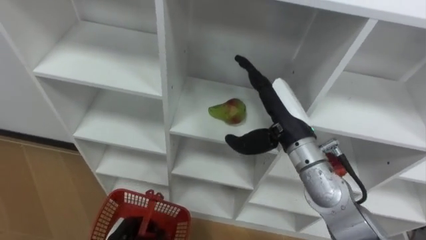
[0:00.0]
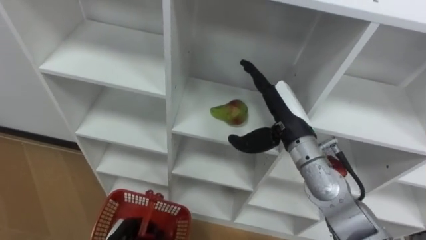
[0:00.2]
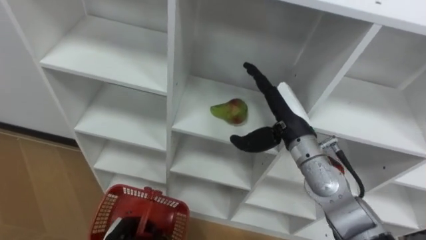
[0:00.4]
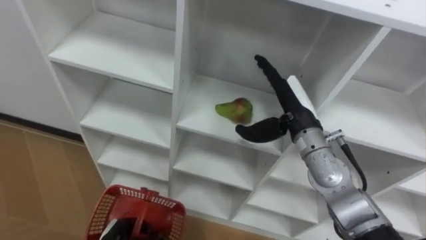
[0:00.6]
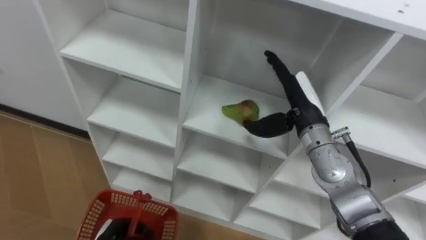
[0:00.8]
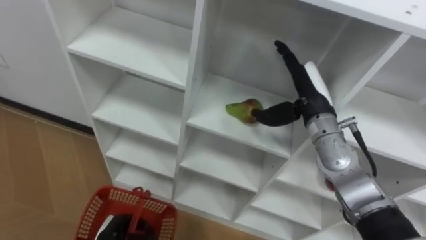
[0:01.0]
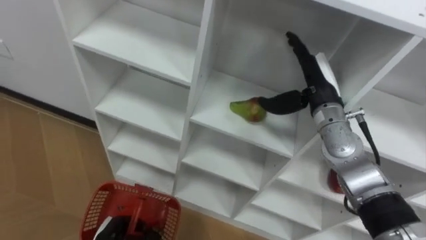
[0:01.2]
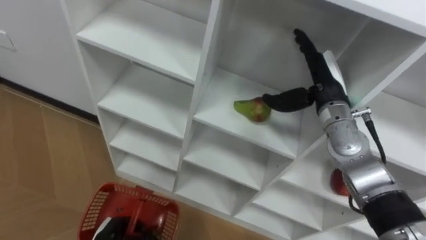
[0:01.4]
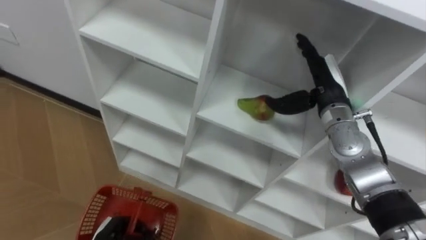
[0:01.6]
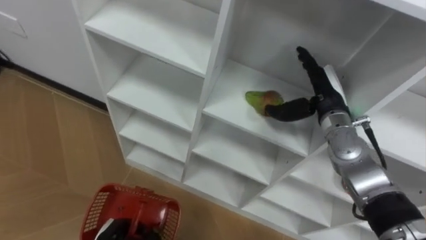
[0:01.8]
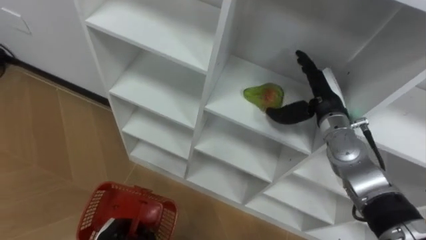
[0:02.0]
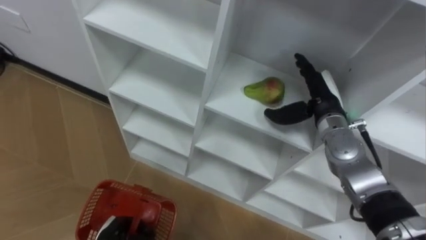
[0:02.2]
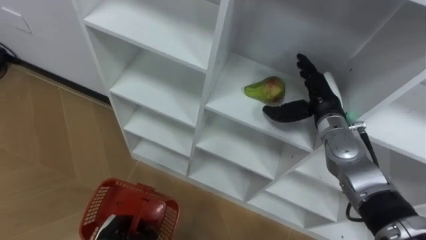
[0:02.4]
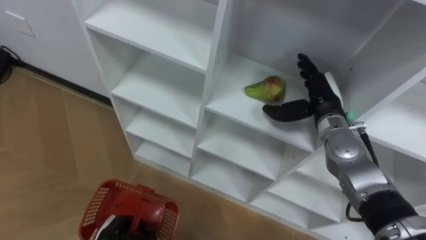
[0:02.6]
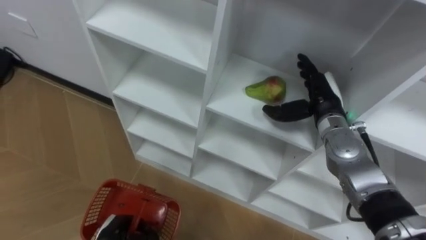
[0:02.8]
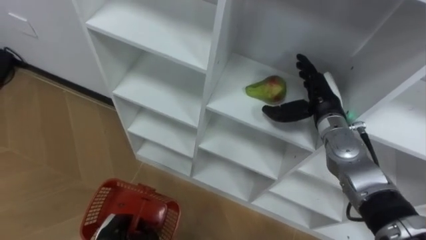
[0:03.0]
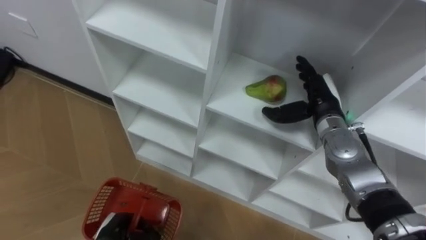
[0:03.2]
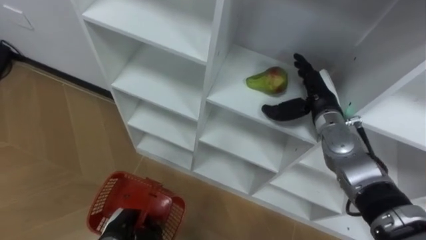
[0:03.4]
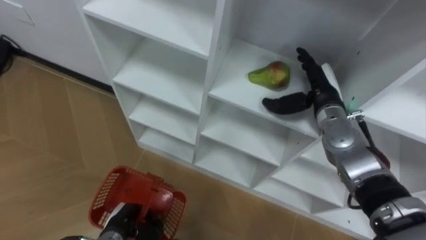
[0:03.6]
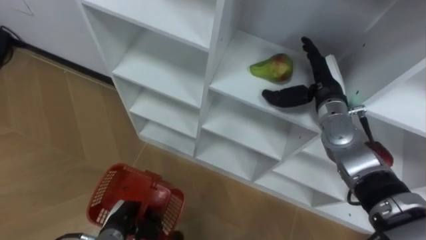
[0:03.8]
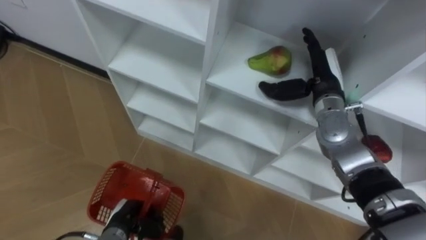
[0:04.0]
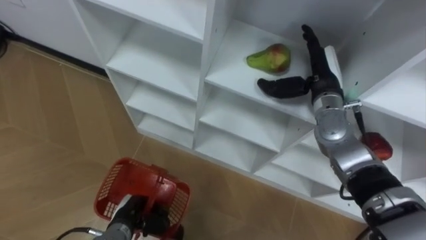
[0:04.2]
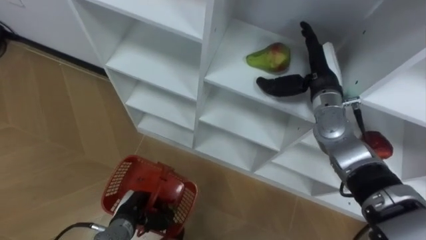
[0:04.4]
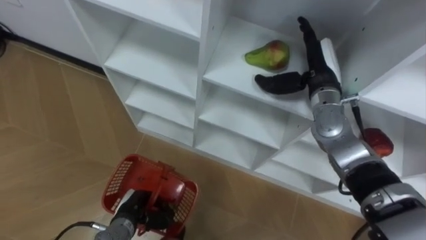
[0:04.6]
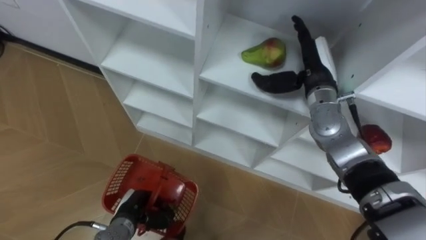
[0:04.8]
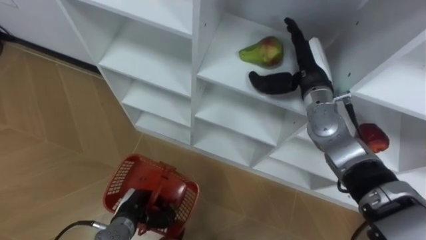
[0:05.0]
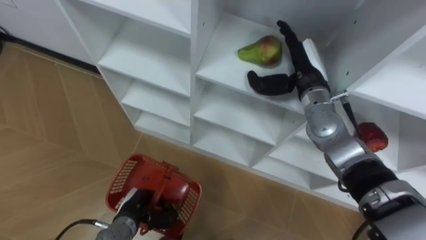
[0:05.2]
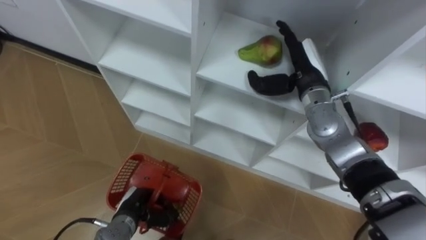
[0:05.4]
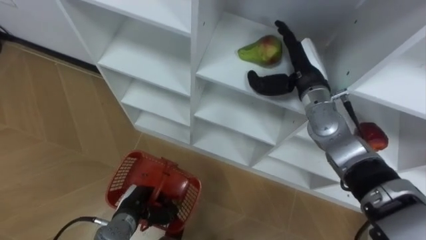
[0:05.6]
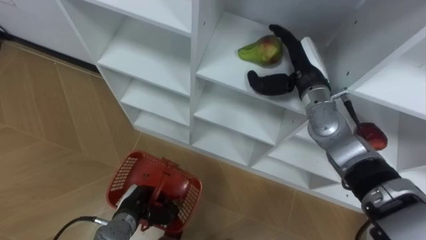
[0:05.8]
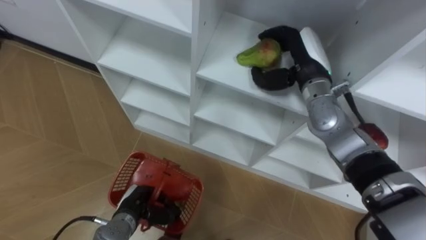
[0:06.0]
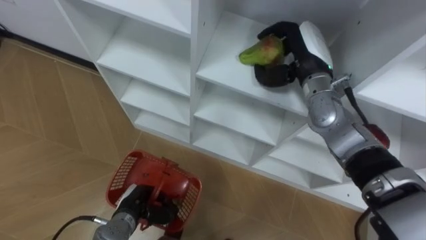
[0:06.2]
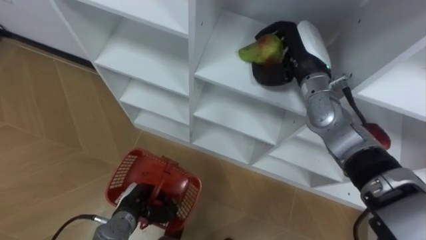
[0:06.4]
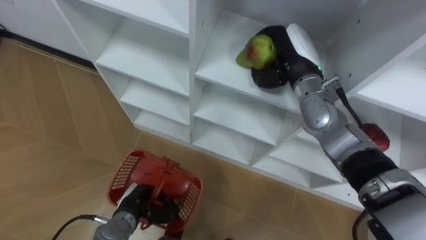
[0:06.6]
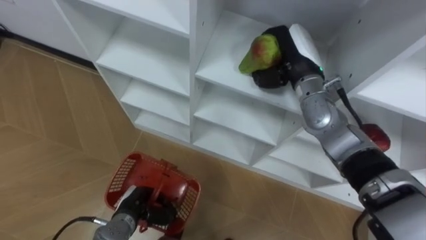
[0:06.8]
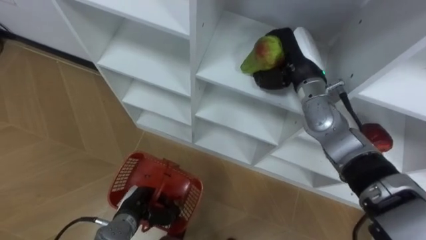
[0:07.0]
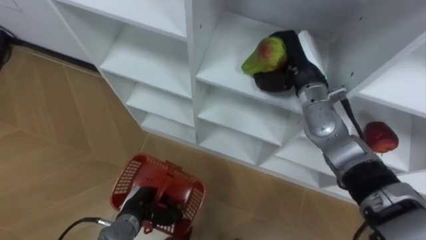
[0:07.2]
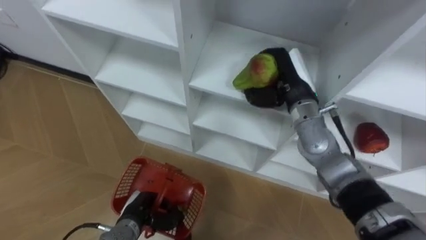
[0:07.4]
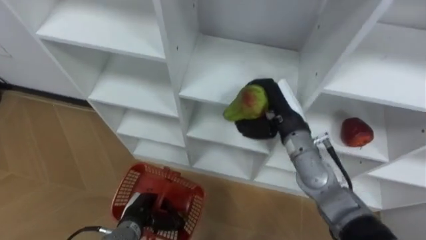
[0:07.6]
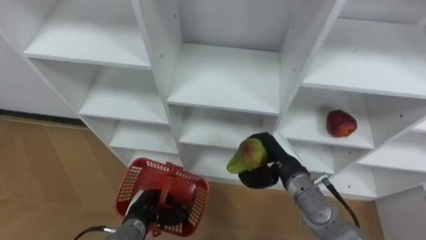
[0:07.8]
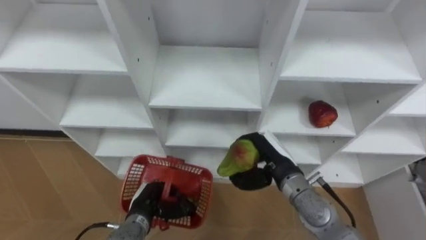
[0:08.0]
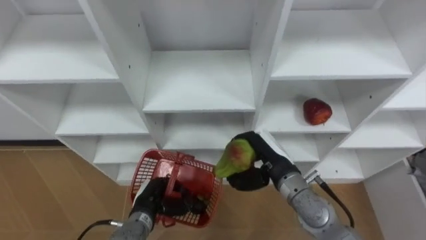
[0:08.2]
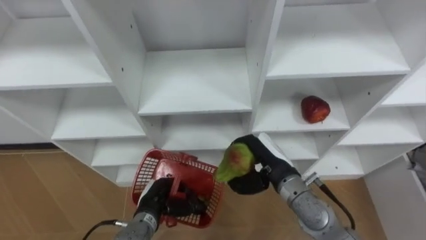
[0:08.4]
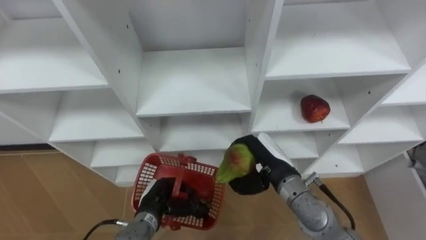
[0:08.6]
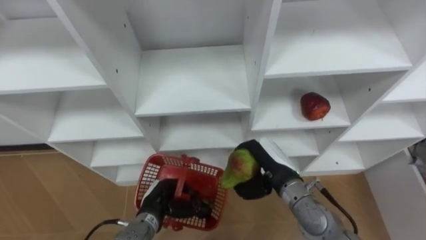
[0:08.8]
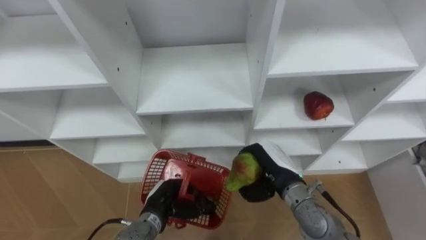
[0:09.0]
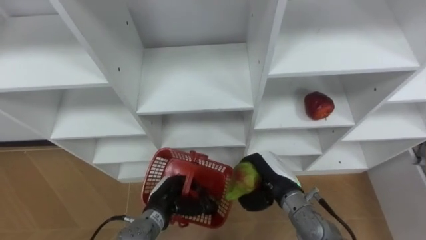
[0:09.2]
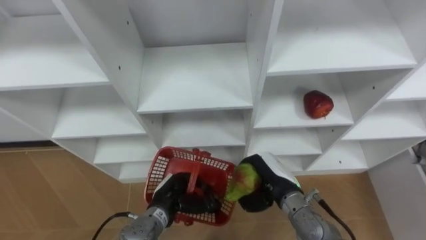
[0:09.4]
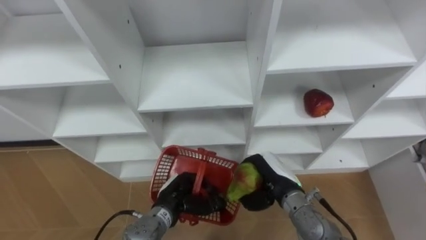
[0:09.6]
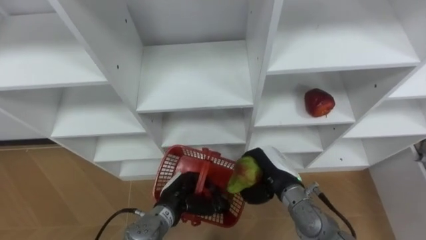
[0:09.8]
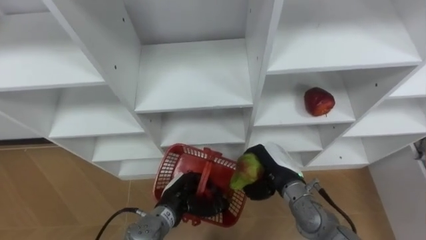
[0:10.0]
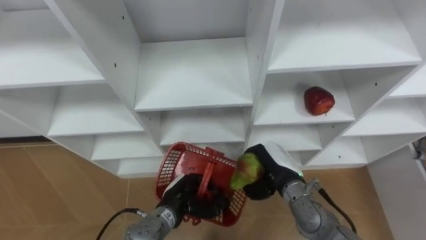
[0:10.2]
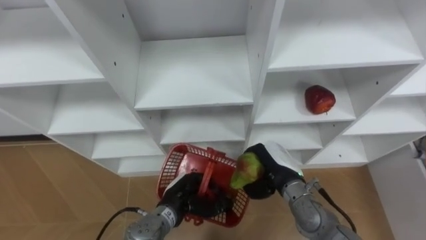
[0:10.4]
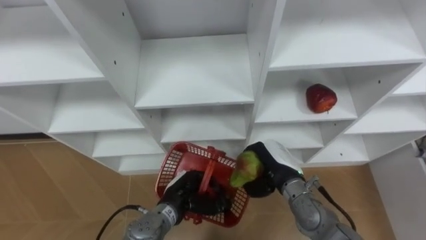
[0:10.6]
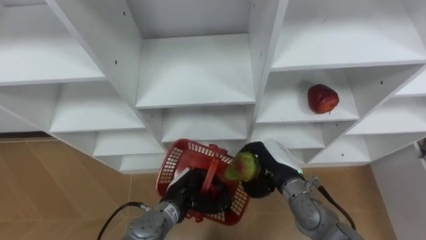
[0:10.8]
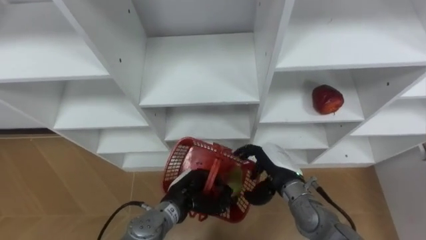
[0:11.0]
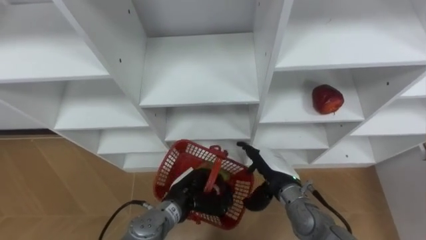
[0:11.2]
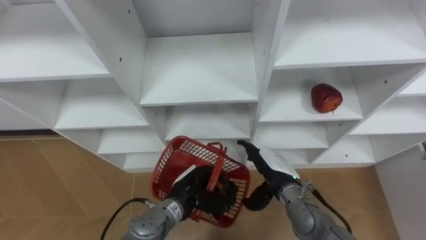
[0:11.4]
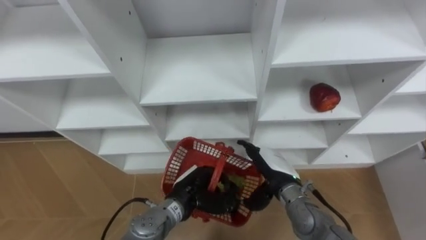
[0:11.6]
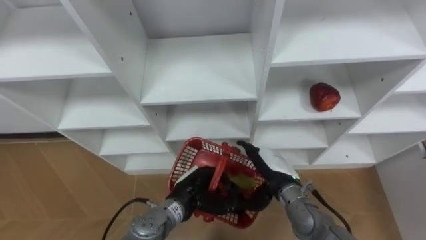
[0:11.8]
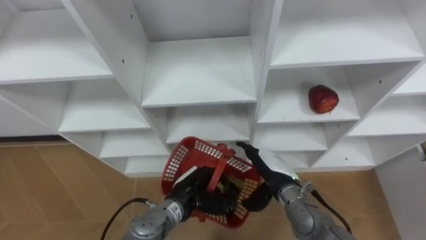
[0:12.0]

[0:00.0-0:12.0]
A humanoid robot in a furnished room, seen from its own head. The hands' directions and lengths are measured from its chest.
Task of the whole recording: Hold the basket and collect the fruits from 3 different cells of the closet into it.
0:00.0 to 0:01.6: The right hand is displaced to the right and forward by about 10 cm.
0:03.0 to 0:04.4: The left hand shifts by some 5 cm.
0:04.4 to 0:06.0: The right hand closes its fingers.
0:06.0 to 0:07.6: The right hand travels backward and downward by some 10 cm, and closes.
0:07.6 to 0:09.0: The right hand is displaced downward and backward by some 10 cm. The left hand goes about 5 cm to the right.
0:10.4 to 0:12.0: The right hand opens up.

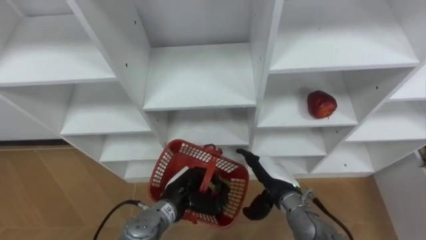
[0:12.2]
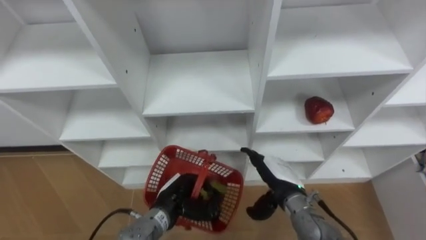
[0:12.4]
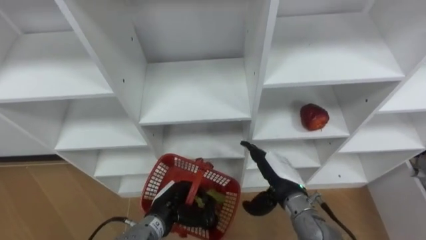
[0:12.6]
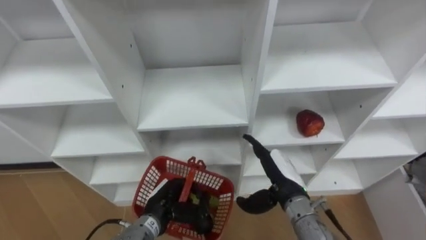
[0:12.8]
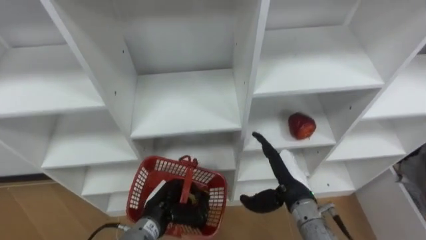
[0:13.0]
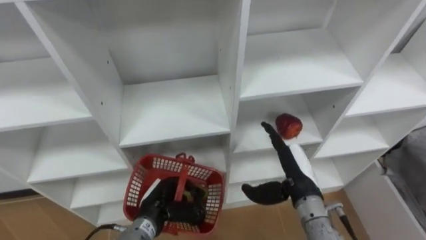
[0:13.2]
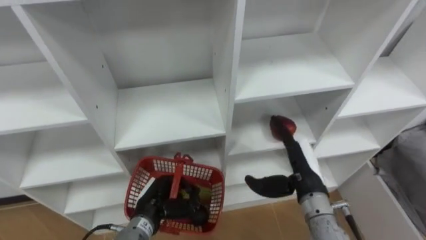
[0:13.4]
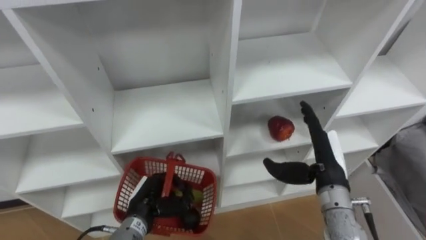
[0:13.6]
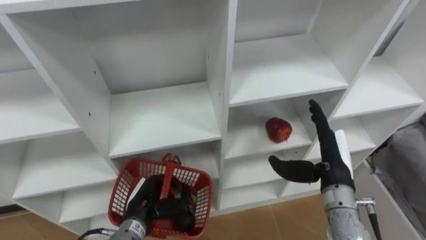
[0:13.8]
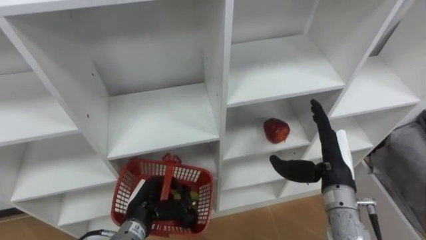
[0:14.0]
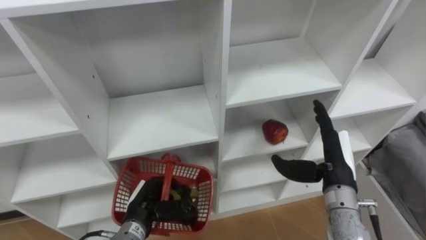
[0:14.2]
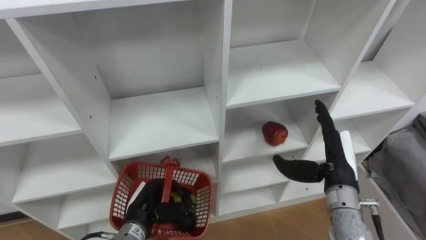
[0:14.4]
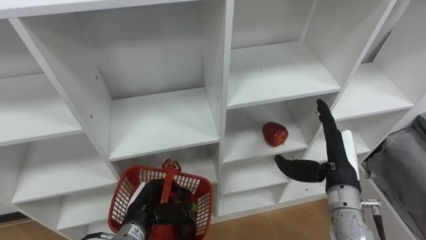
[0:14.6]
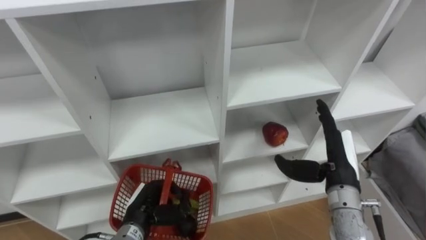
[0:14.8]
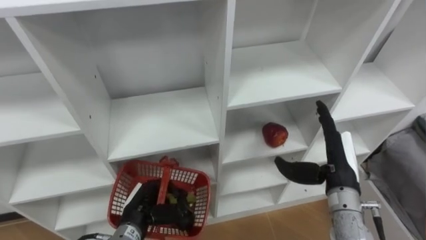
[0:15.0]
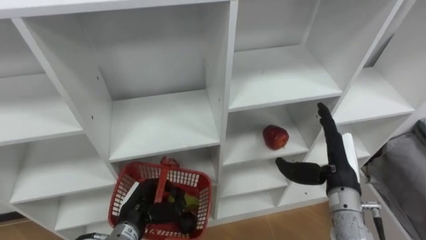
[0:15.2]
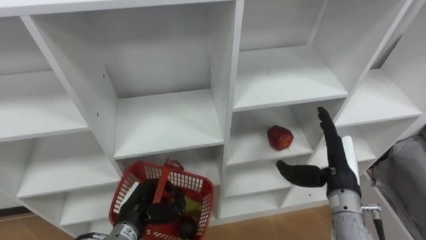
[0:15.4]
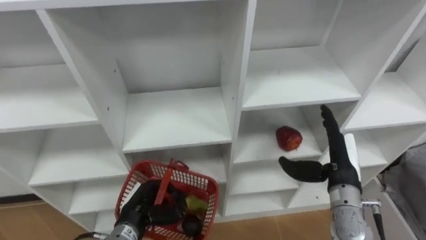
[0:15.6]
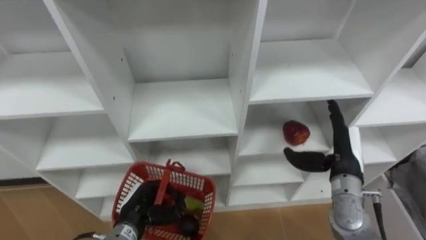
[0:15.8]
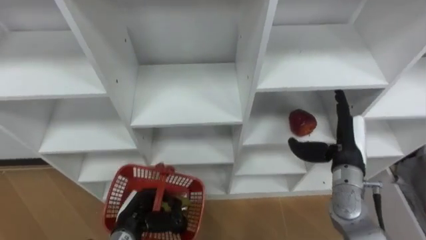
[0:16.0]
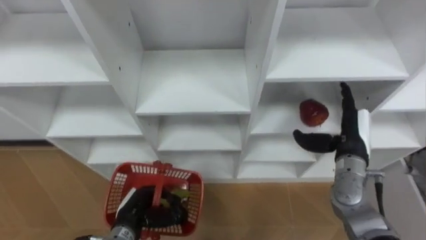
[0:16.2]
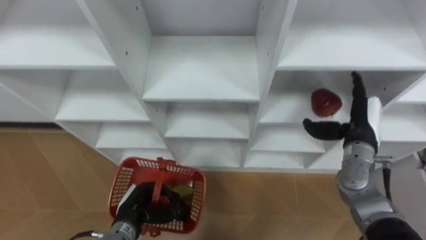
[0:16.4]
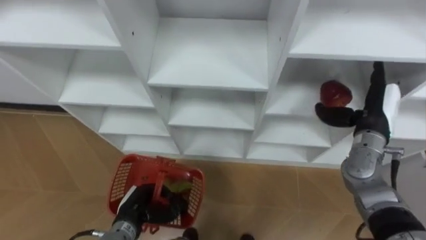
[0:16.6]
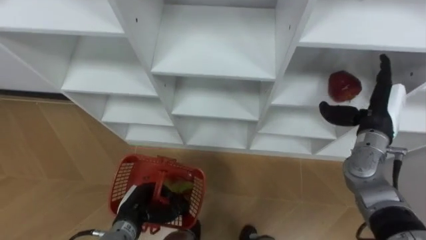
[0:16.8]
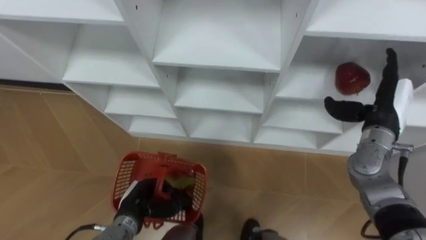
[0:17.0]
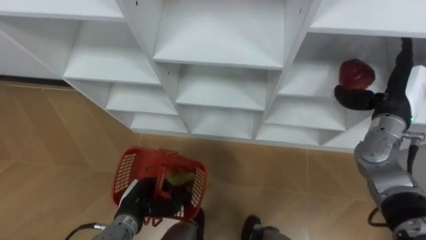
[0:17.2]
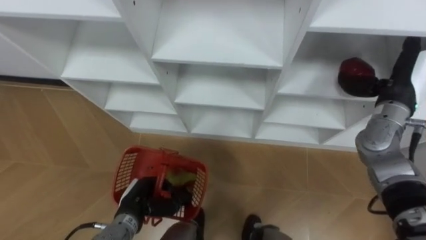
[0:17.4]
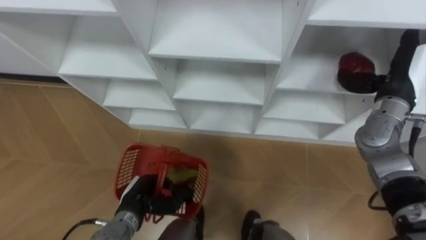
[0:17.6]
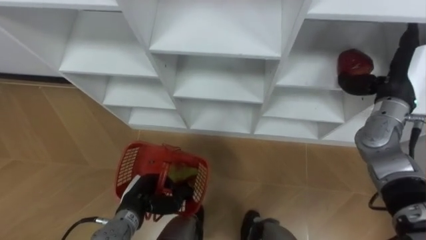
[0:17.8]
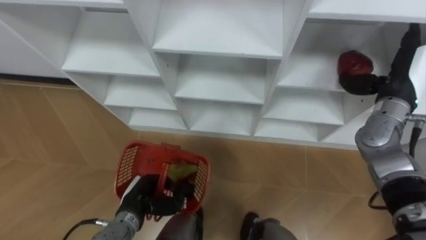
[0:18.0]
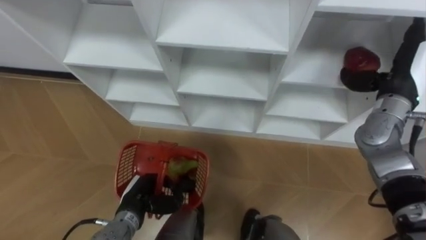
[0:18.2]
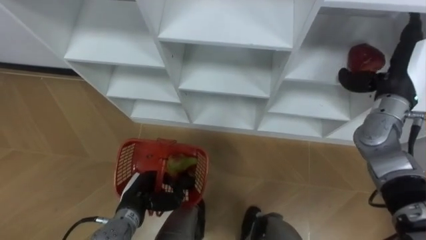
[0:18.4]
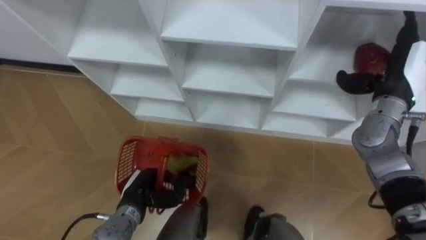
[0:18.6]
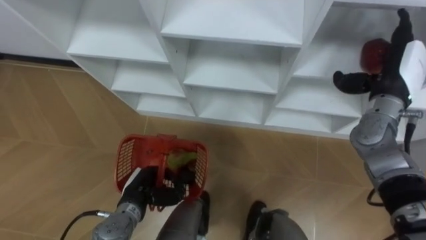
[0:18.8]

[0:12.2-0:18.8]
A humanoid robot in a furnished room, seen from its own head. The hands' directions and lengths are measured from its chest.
Task of the whole recording: Hold the basket and collect the fruits from 3 different cells of the closet into it.
0:12.2 to 0:13.8: The right hand is displaced to the right and upward by approximately 15 cm. The left hand shifts some 10 cm to the left.
0:15.4 to 0:17.2: The right hand travels forward, to the right and upward by about 15 cm.
